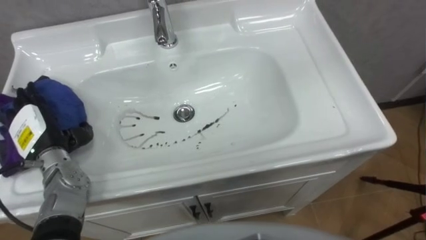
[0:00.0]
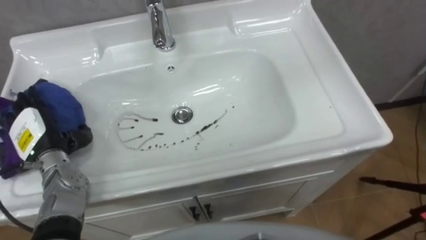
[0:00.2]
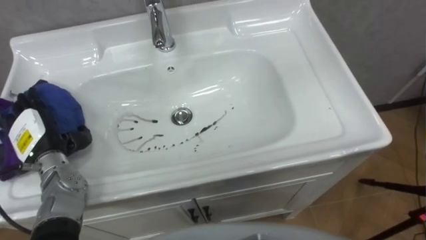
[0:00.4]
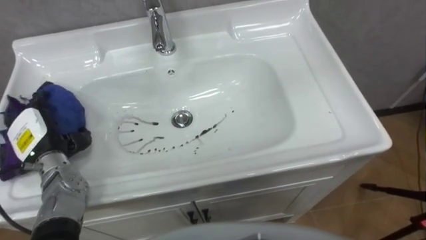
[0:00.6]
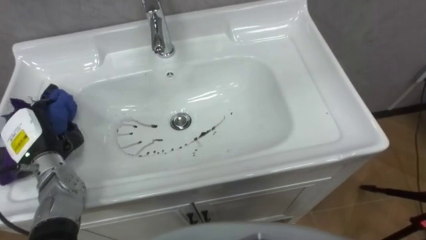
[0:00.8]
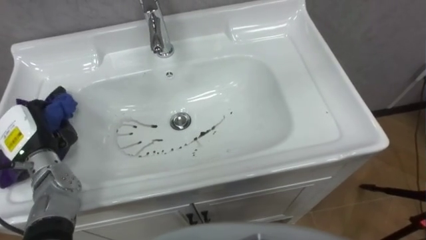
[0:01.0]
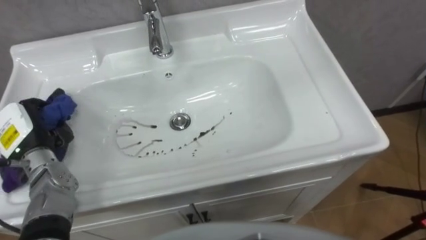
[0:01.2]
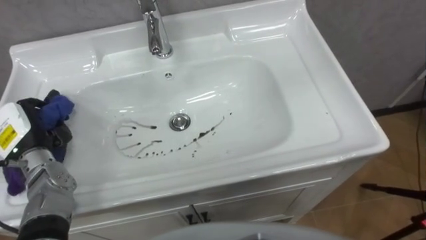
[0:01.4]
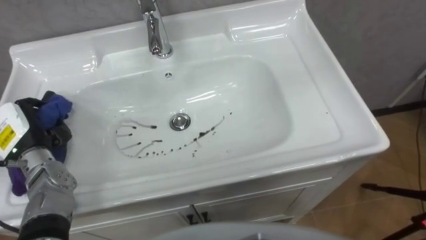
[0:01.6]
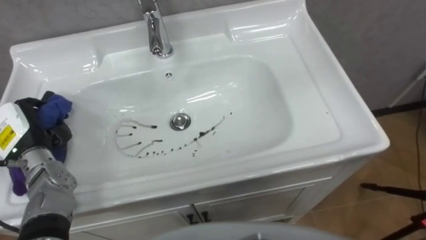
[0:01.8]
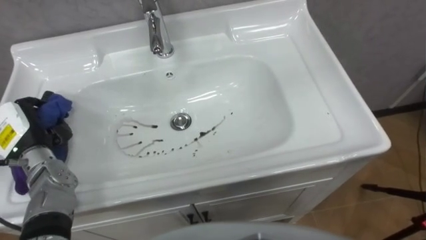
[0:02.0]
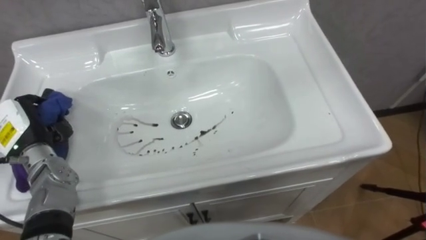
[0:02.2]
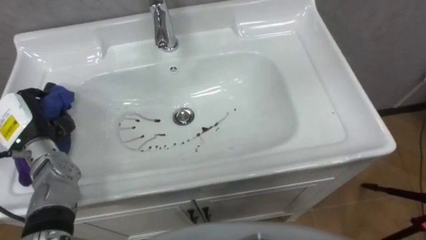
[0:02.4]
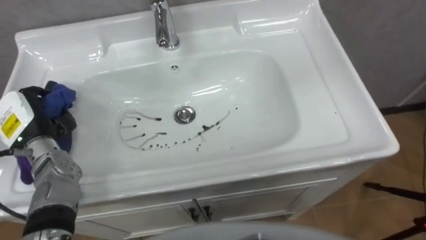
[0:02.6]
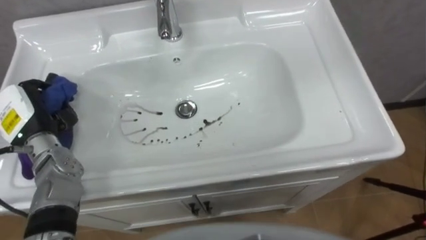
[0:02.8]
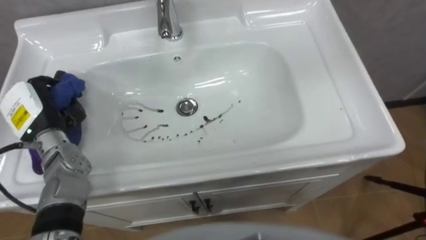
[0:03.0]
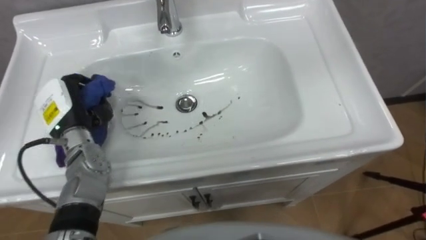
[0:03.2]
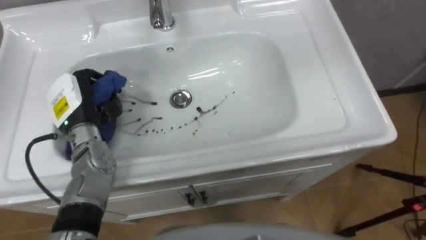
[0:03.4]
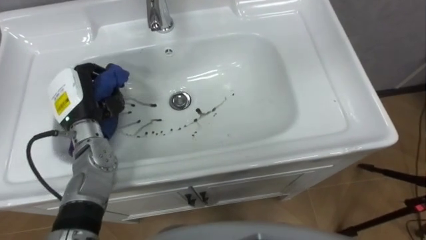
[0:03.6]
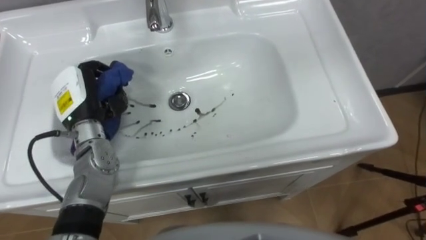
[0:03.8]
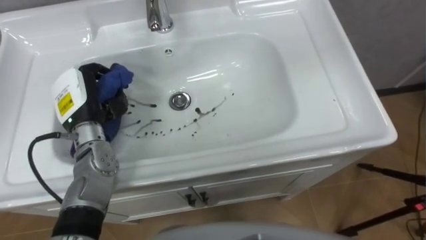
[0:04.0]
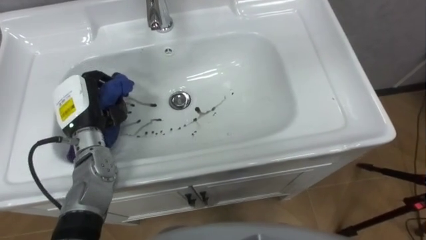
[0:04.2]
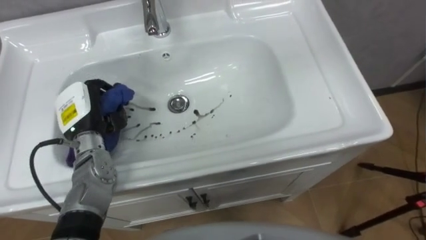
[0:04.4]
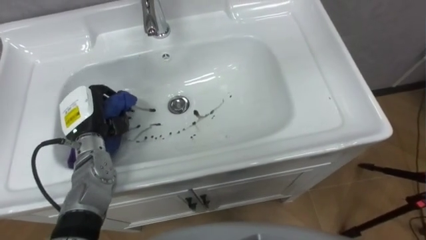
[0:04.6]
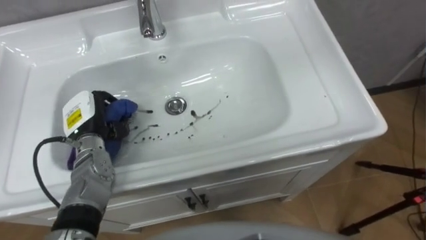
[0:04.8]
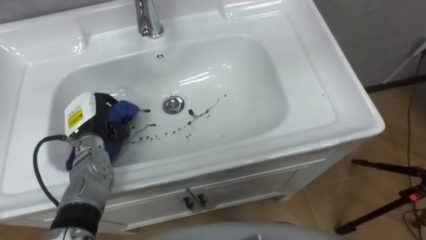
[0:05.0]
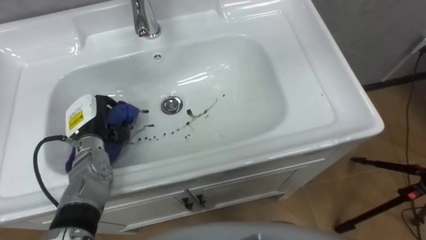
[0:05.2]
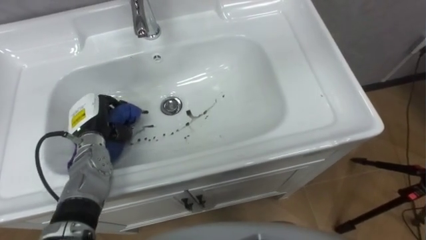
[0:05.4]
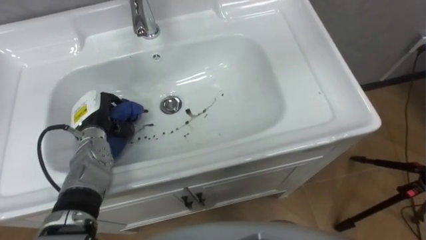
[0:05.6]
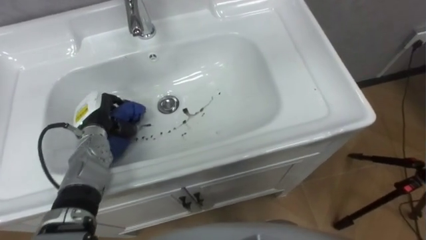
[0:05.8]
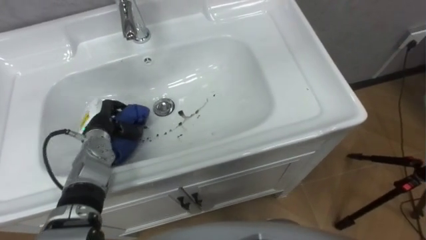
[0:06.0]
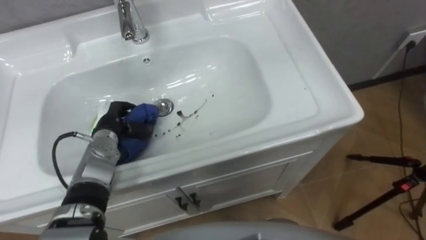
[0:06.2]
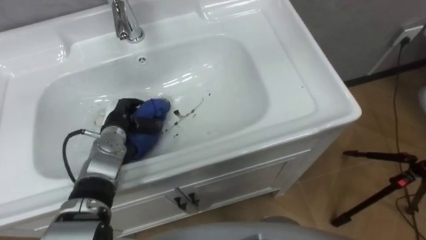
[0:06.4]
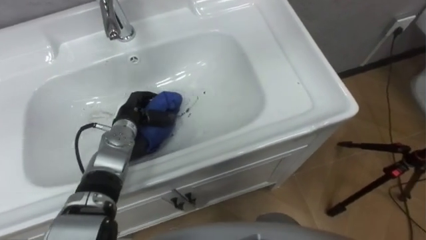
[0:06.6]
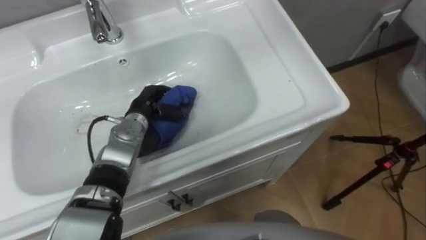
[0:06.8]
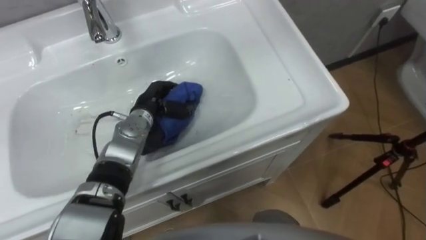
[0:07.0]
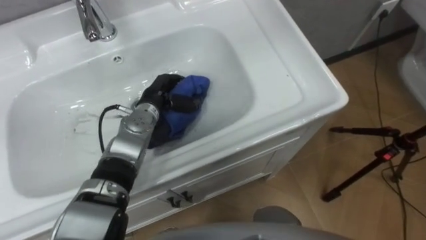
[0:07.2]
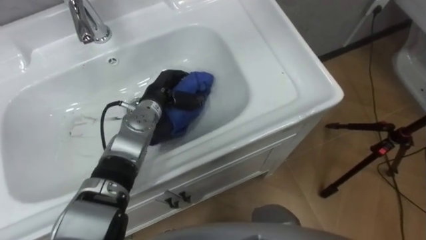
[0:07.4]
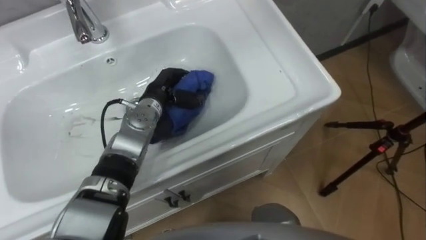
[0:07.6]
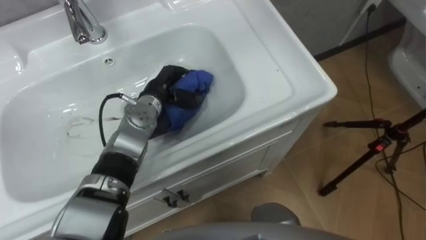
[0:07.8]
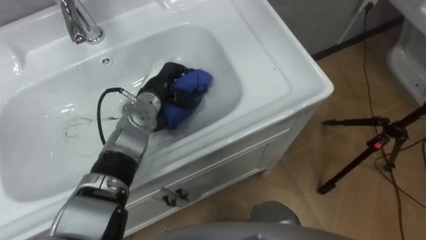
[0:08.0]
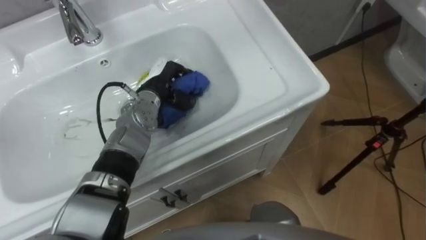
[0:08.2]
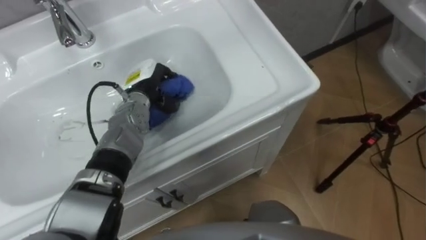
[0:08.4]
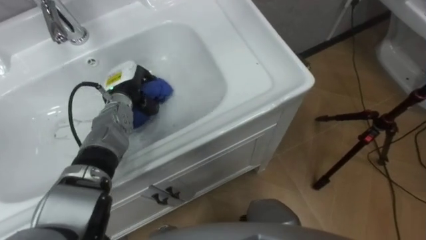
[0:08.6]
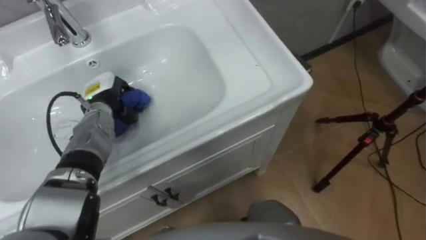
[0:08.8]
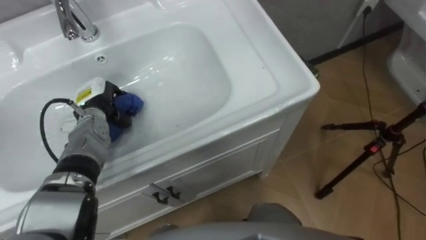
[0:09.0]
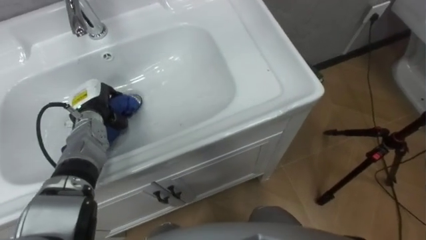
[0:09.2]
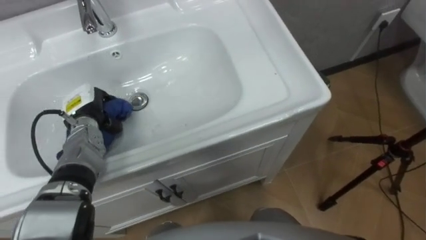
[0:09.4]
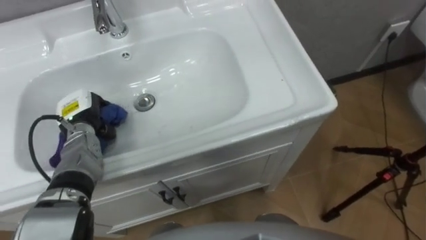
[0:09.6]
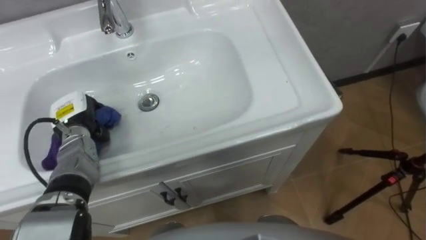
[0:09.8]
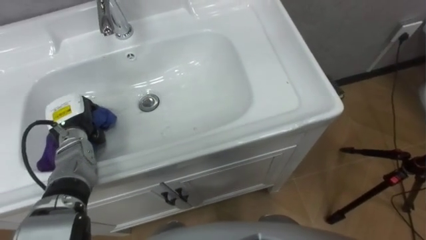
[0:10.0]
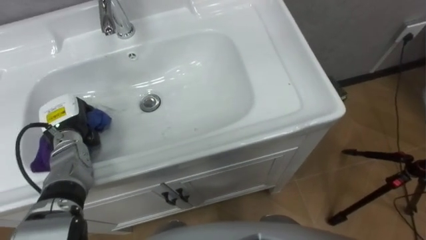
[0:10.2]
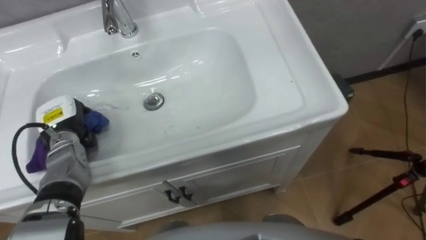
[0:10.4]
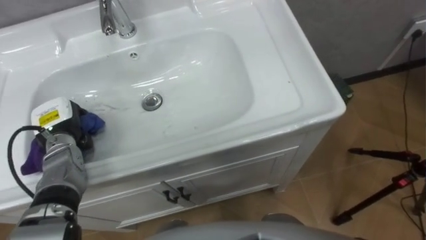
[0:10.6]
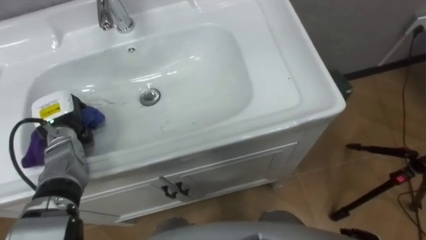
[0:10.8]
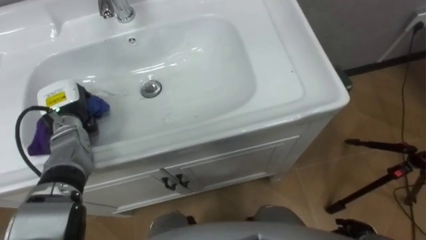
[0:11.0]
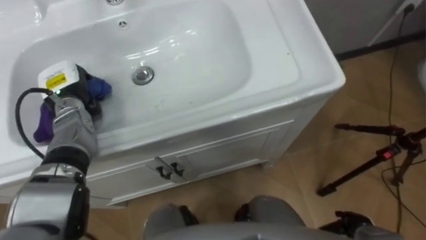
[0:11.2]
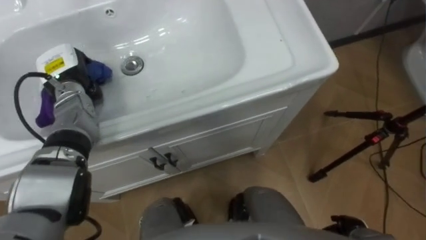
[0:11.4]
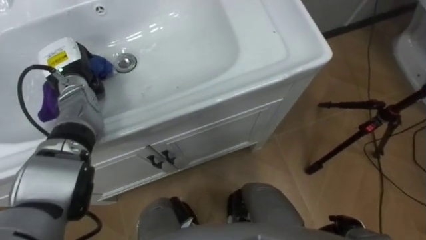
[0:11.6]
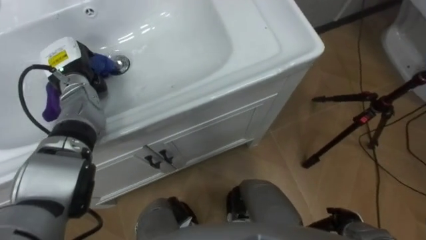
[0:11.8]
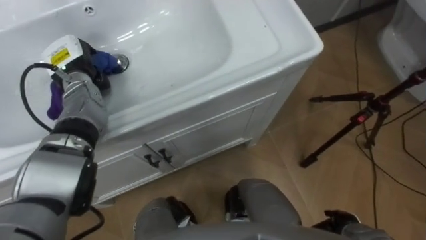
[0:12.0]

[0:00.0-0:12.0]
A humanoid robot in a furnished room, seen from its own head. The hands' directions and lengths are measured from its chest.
Task of the whole recording: Use the cloth on the right to wipe away the black stain in the sink.
0:00.0 to 0:01.6: The left hand closes its fingers.
0:01.6 to 0:03.0: The left hand shifts by roughly 5 cm.
0:03.0 to 0:04.4: The left hand is displaced to the right by about 5 cm.
0:04.4 to 0:06.0: The left hand shifts roughly 5 cm downward.
0:06.0 to 0:07.6: The left hand moves to the right and forward, about 15 cm.
0:07.6 to 0:09.0: The left hand moves to the left, about 15 cm.
0:09.0 to 0:10.4: The left hand heads to the left, covering some 5 cm.
0:10.4 to 0:12.0: The left hand moves forward and upward, approximately 10 cm.

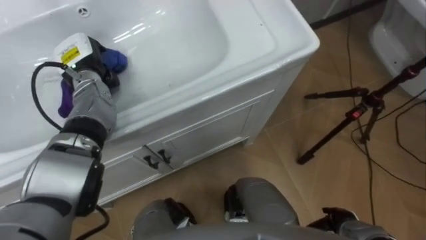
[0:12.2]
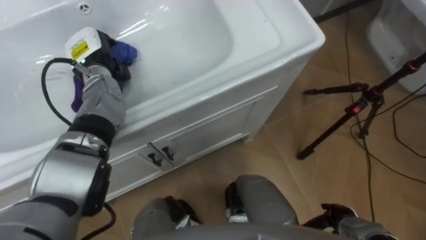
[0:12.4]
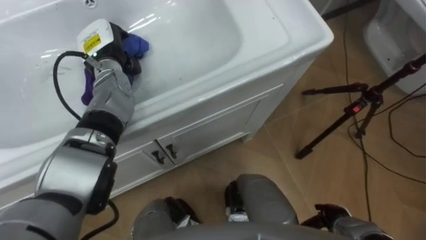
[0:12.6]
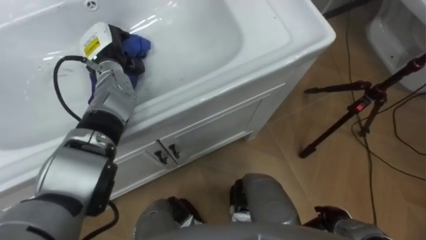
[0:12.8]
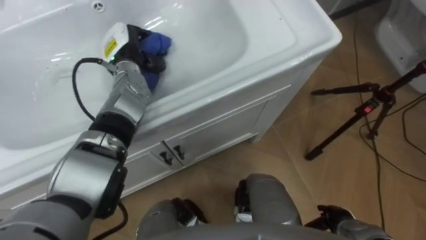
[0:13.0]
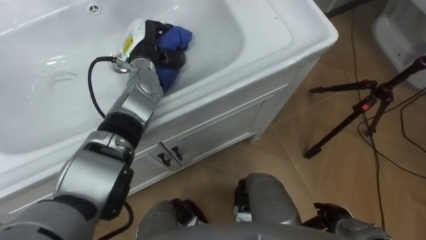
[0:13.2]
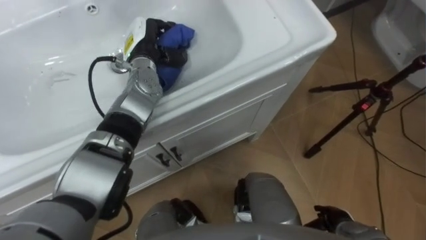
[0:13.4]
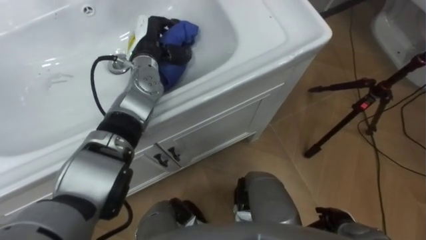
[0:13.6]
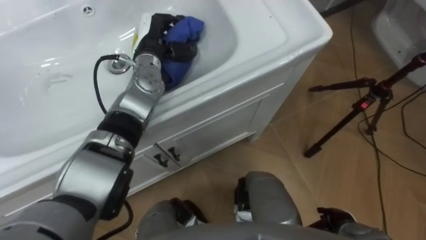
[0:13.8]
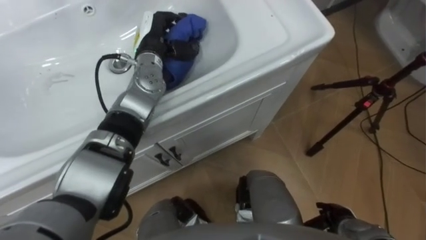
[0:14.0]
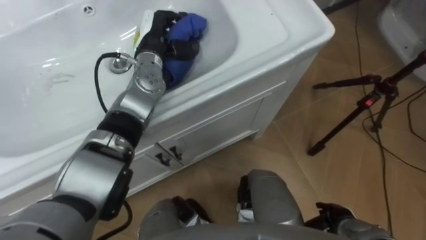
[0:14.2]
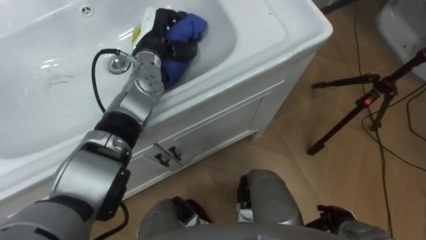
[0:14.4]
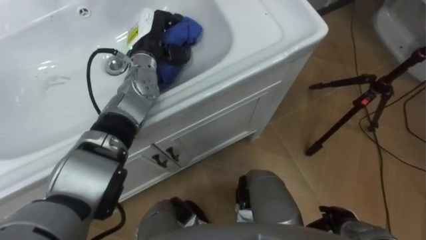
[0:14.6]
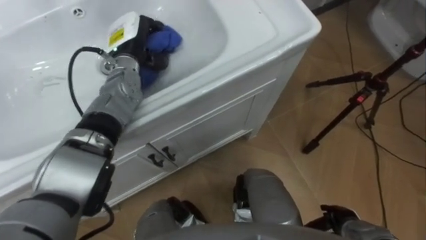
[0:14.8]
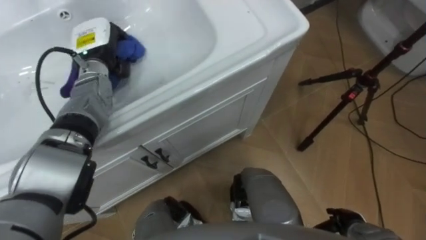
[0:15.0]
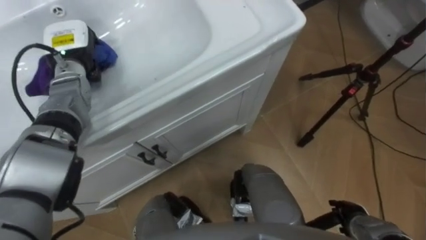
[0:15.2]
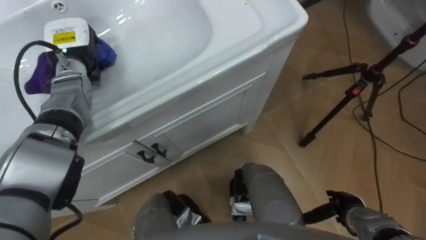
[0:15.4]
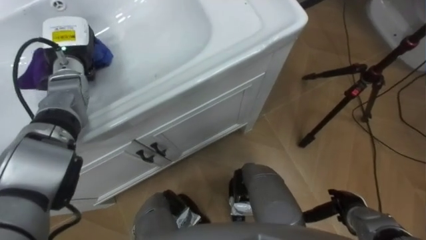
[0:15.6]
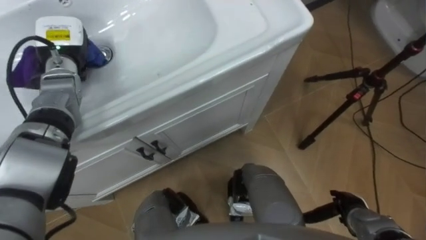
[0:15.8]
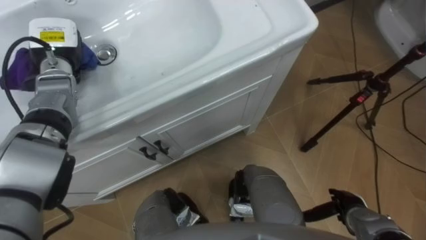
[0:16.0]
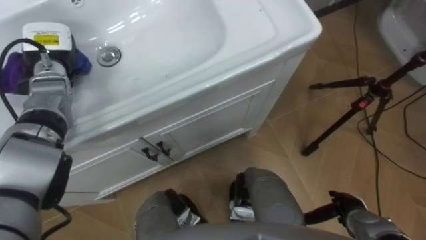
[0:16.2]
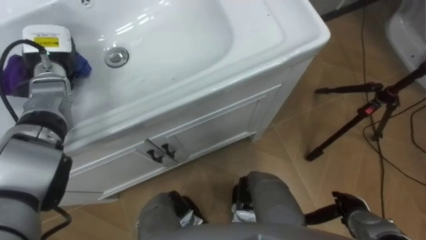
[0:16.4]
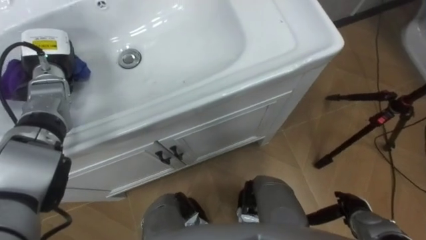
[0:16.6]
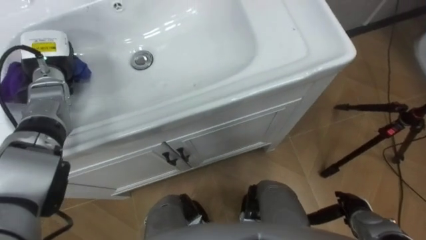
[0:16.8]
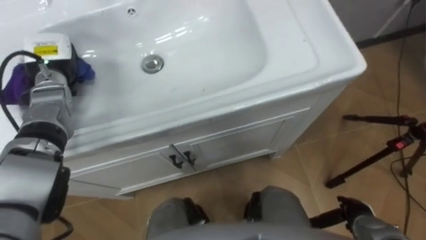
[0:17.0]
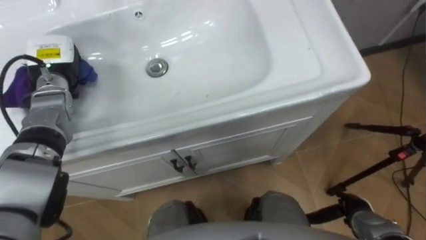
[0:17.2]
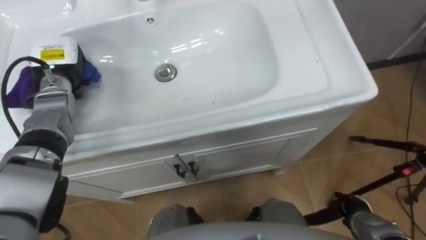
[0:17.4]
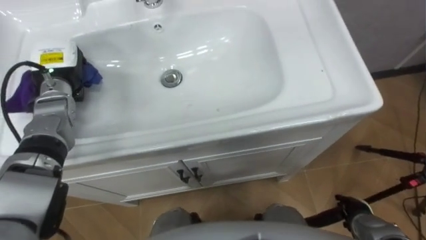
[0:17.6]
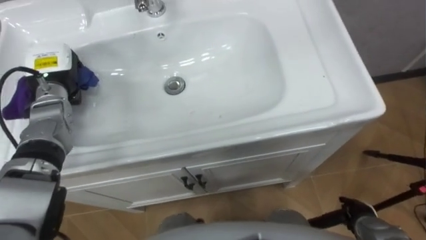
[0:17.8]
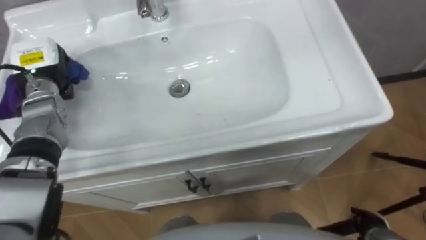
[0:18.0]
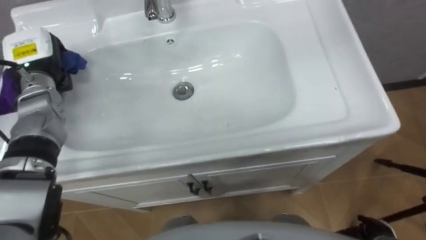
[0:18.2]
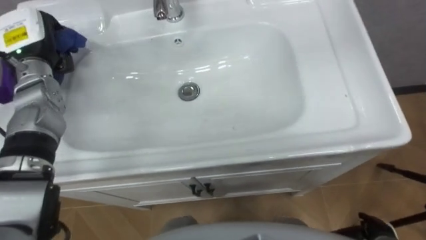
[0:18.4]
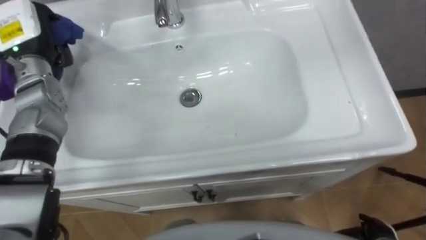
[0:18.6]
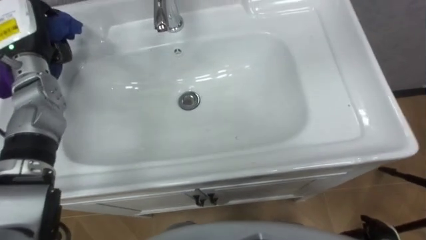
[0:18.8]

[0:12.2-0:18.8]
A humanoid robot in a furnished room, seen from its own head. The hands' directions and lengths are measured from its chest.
Task of the whole recording: Use the cloth on the right to wipe away the black stain in the sink.
0:12.2 to 0:13.8: The left hand shifts about 15 cm to the right.
0:13.8 to 0:15.4: The left hand travels to the left by about 15 cm.
0:17.2 to 0:18.8: The left hand heads upward, covering some 10 cm.
